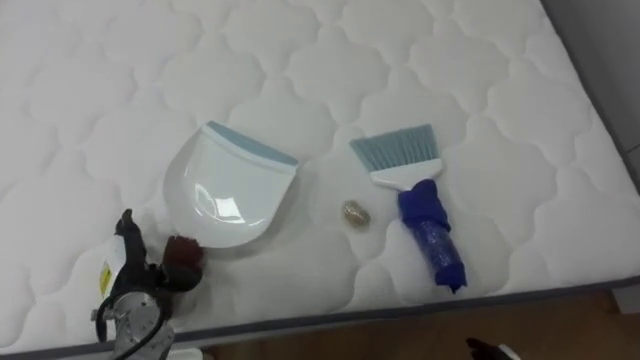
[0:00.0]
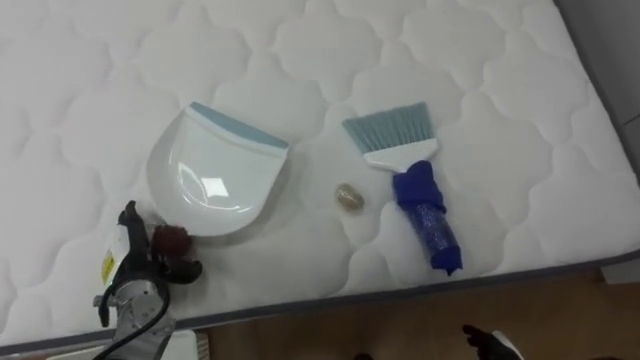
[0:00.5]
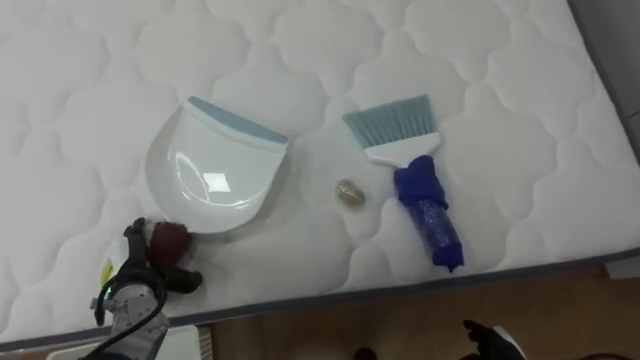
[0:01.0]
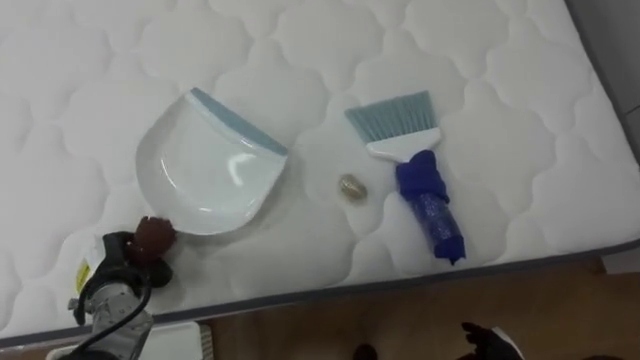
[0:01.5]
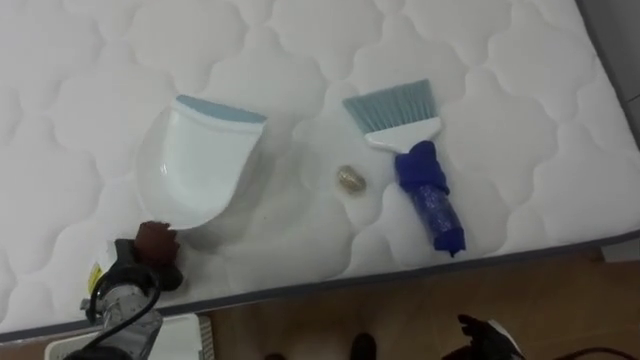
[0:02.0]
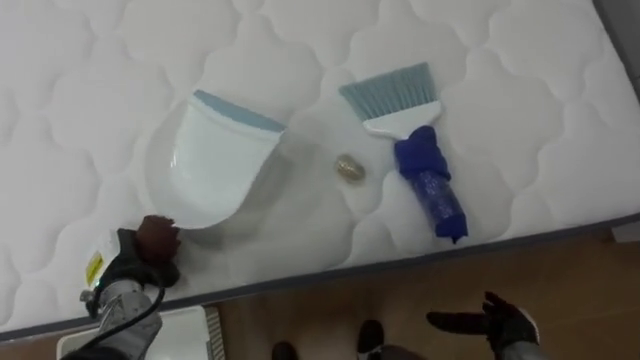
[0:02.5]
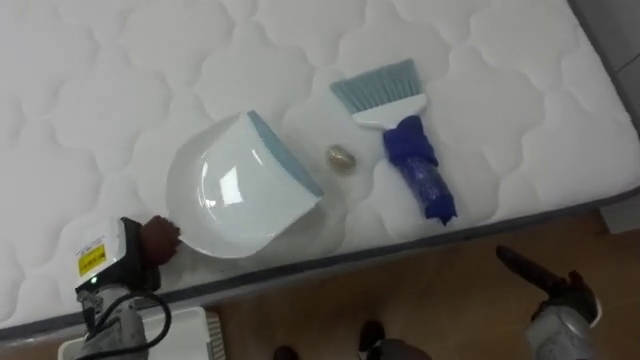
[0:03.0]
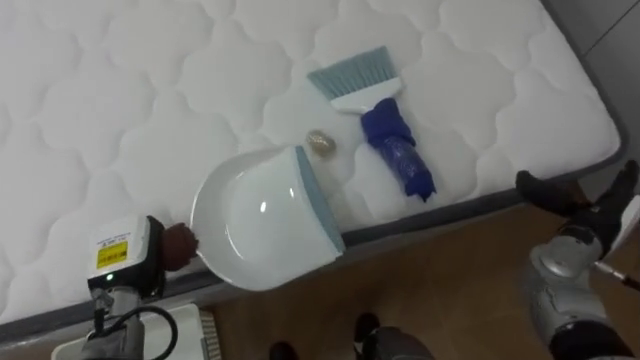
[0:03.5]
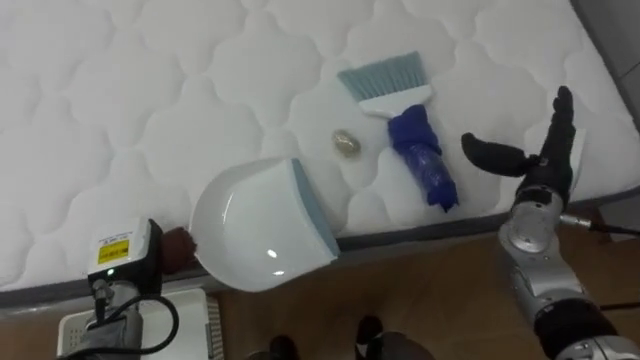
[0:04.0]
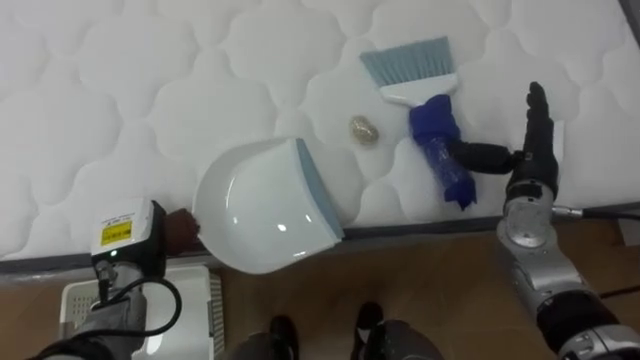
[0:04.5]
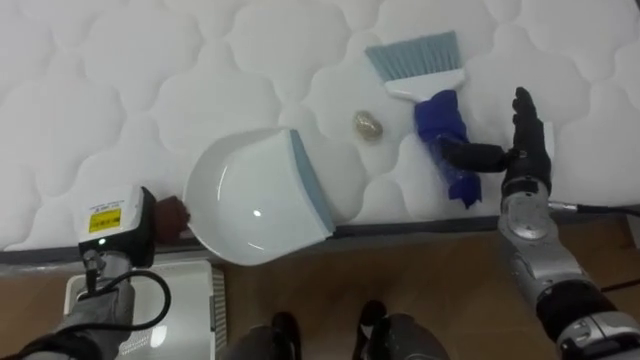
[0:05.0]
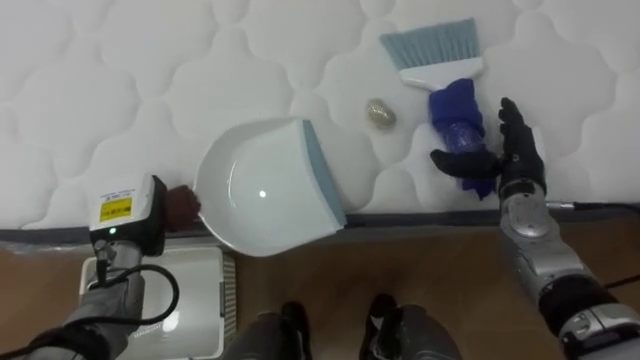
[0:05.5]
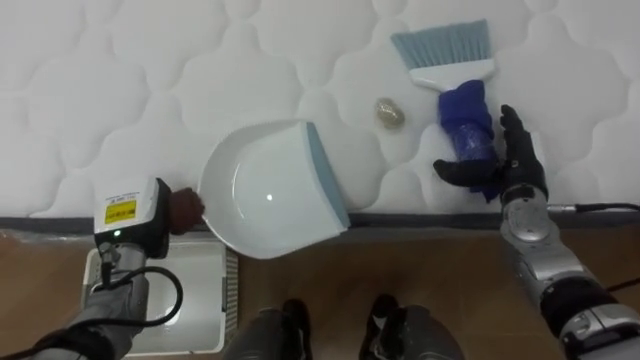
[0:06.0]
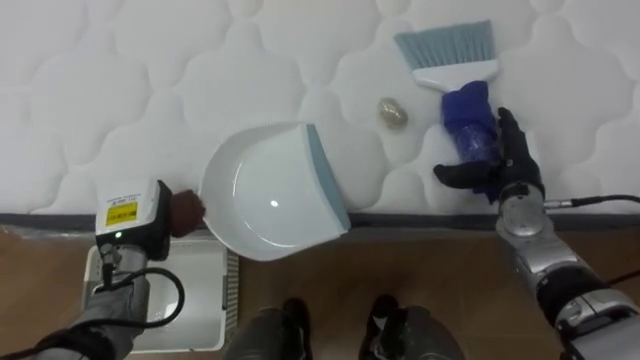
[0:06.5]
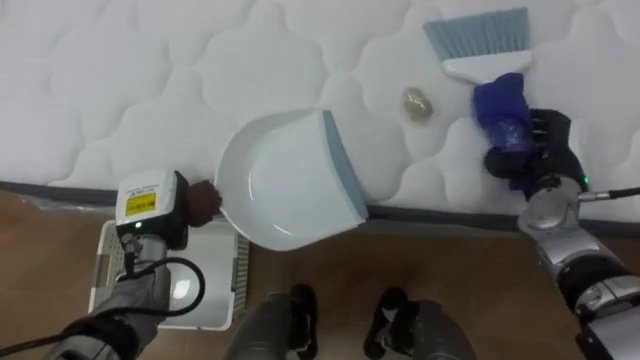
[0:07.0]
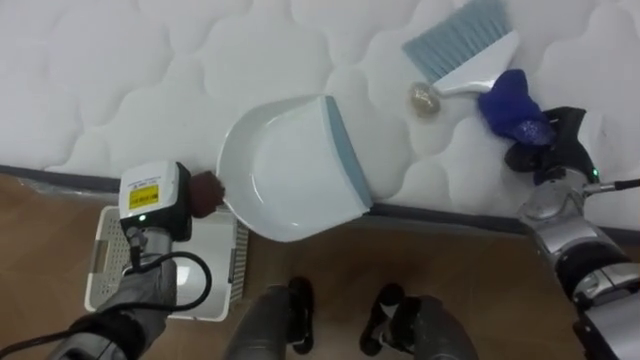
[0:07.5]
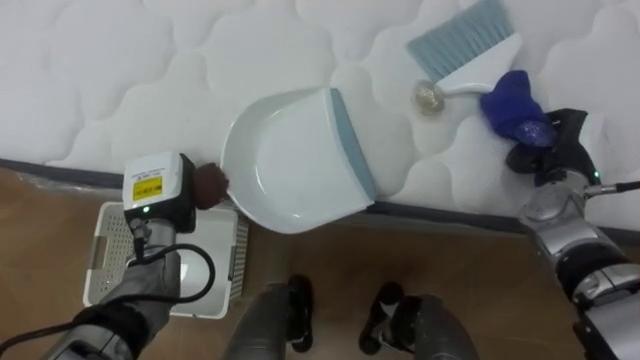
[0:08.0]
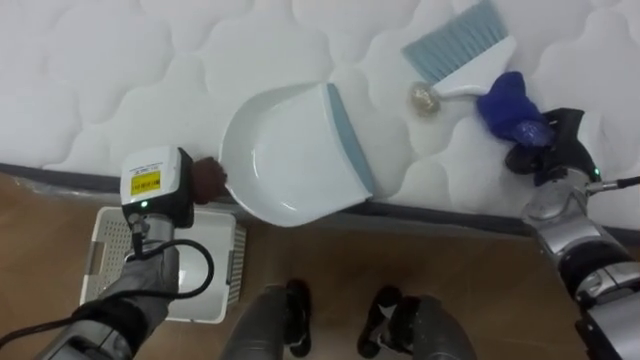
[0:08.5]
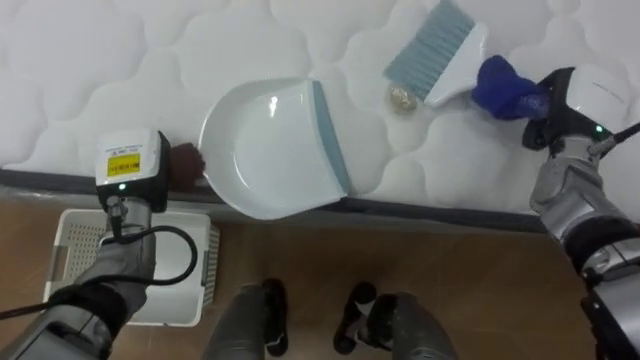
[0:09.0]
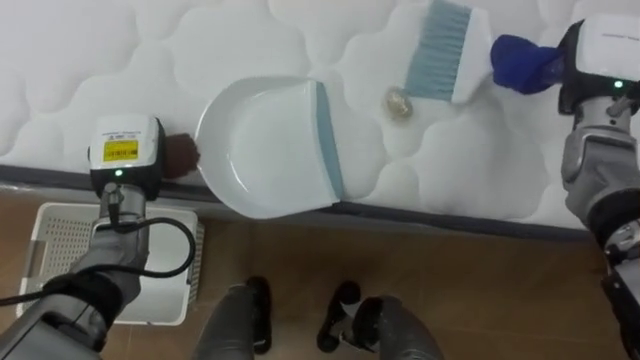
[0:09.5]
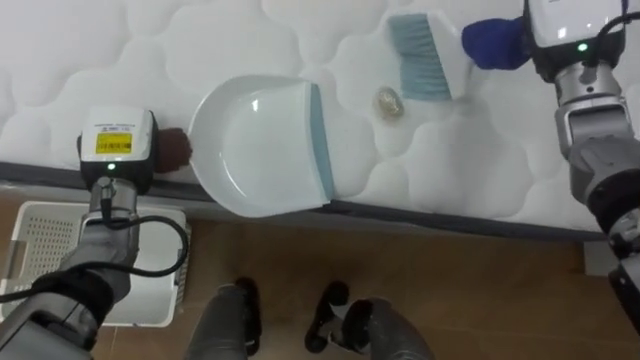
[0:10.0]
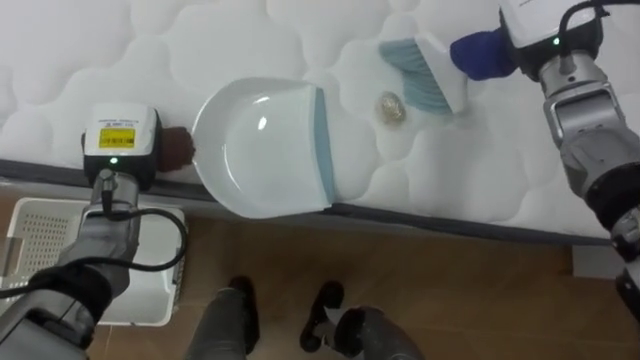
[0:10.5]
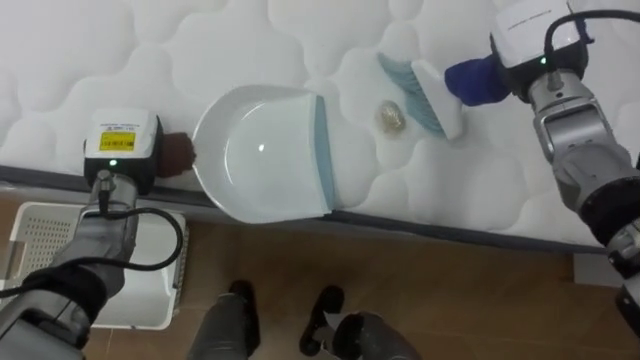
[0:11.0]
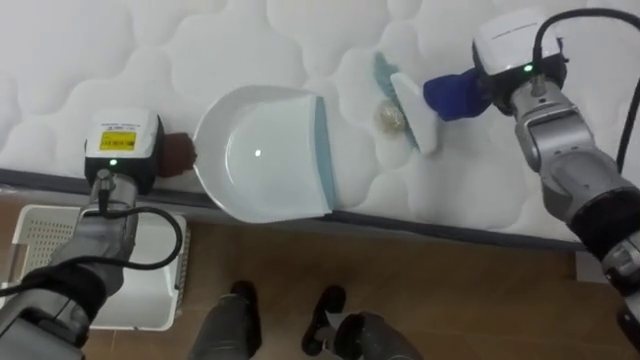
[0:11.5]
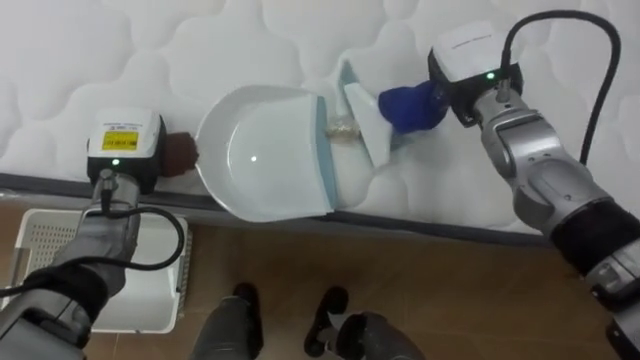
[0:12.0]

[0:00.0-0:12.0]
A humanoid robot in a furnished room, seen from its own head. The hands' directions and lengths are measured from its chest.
Task of the whole recording: Pick up the brush on your right and the dustpan on your left. Use the brush to sweep the crumpled paper on the bed into the dustpan, then turn left and empty it into the basket.
0:00.0 to 0:02.0: The left hand closes its fingers.
0:02.0 to 0:04.0: The right hand is displaced upward and forward by about 30 cm.
0:04.0 to 0:06.0: The left hand ends up about 5 cm from where it was.
0:06.0 to 0:08.0: The right hand travels to the right by roughly 5 cm, and closes.
0:08.0 to 0:10.0: The left hand heads upward, covering about 5 cm. Meanwhile the right hand goes roughly 15 cm upward and forward.
0:10.0 to 0:12.0: The right hand travels to the left and downward by about 10 cm.

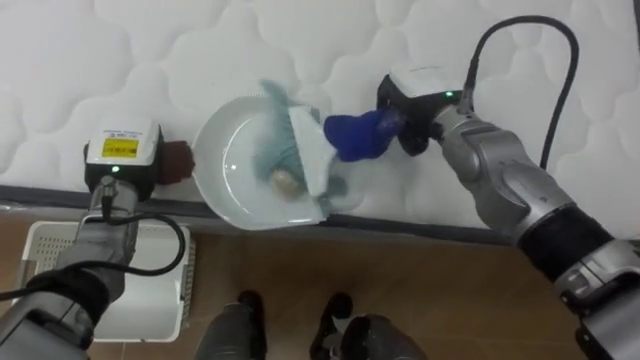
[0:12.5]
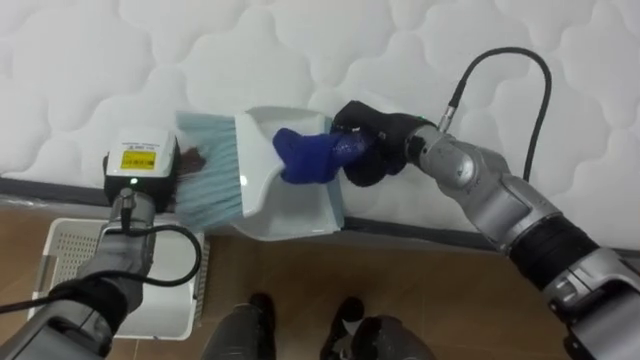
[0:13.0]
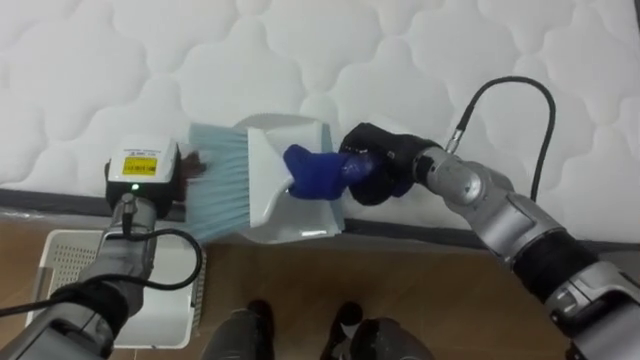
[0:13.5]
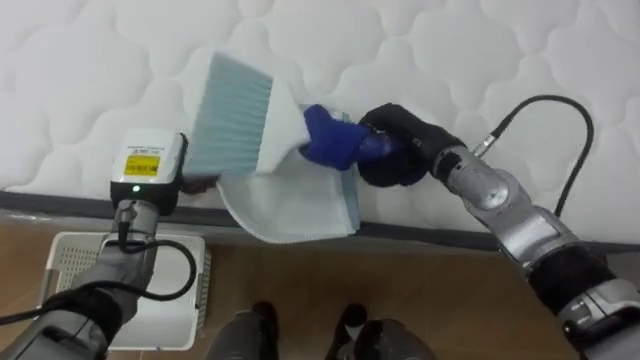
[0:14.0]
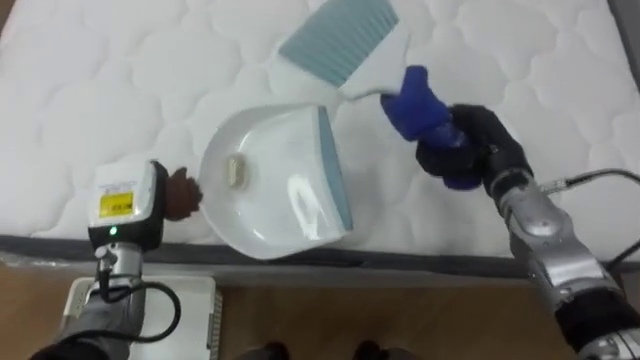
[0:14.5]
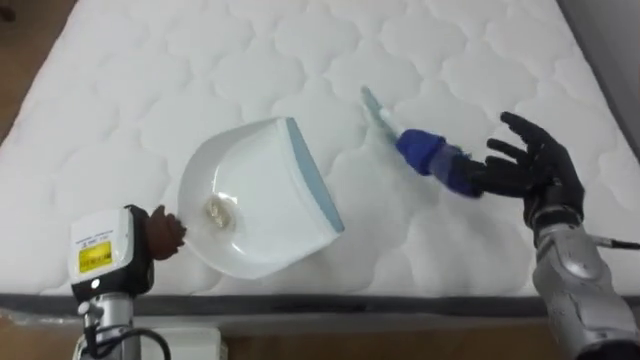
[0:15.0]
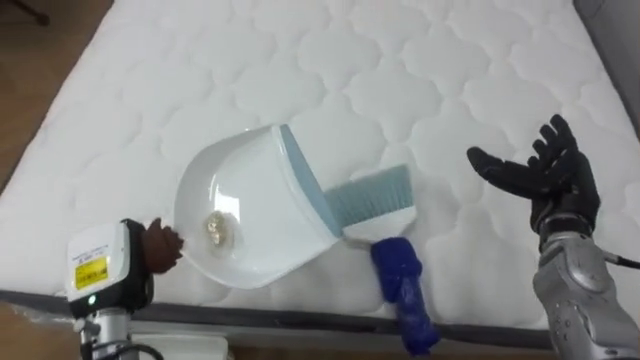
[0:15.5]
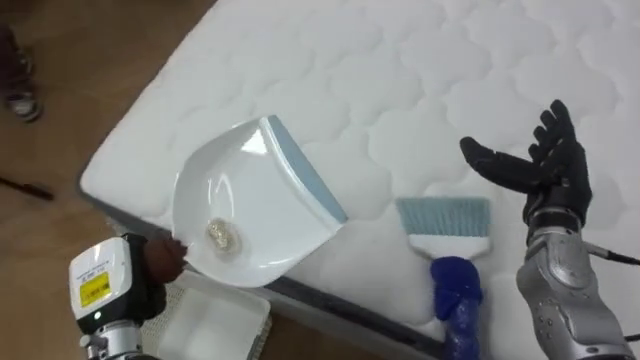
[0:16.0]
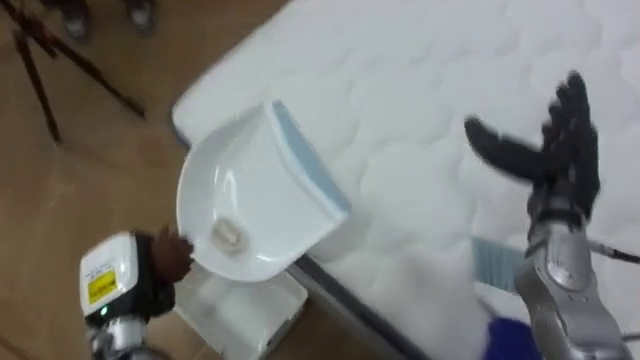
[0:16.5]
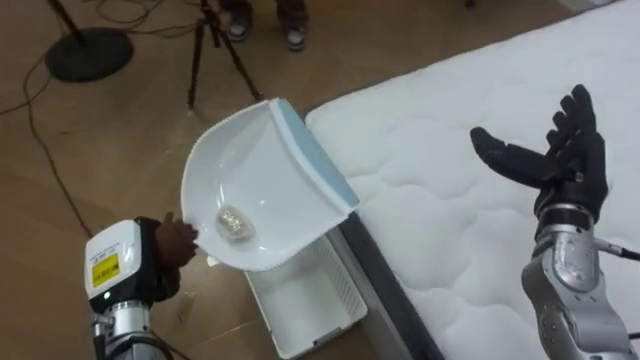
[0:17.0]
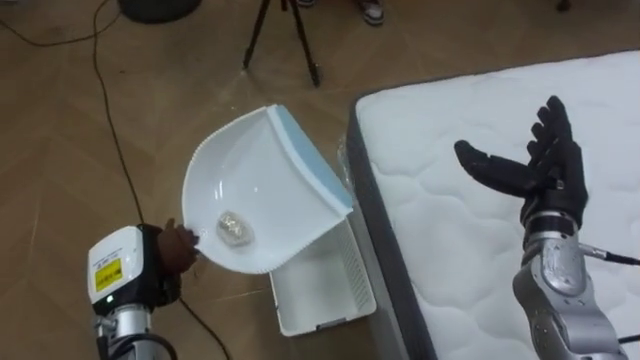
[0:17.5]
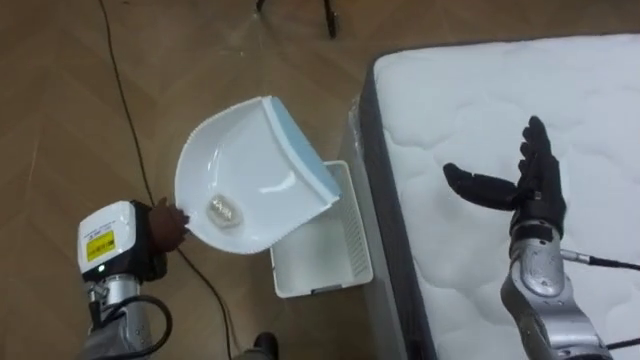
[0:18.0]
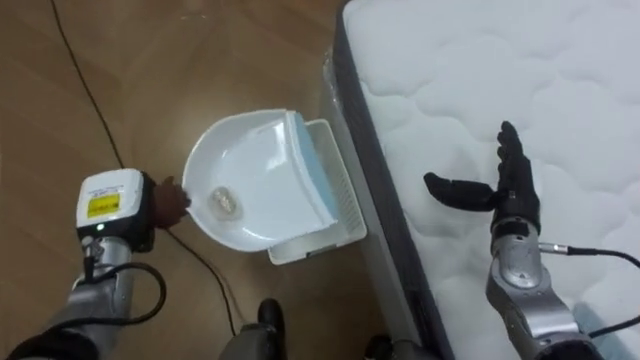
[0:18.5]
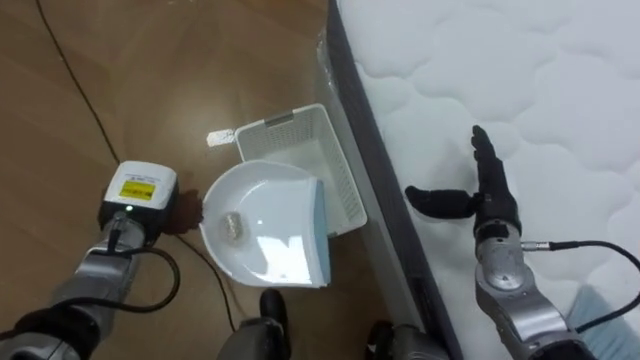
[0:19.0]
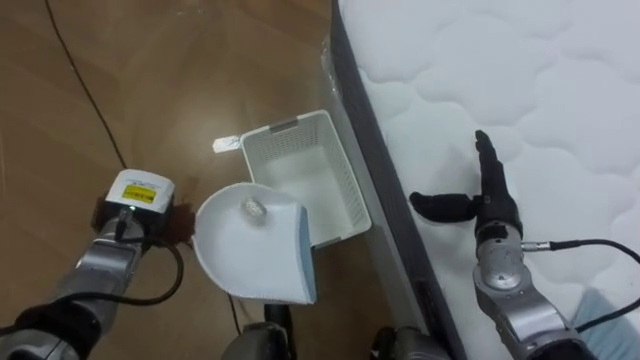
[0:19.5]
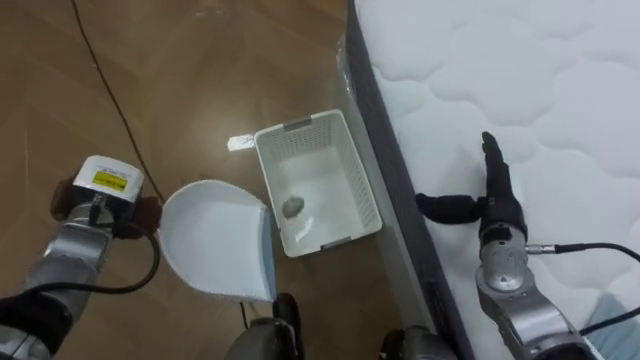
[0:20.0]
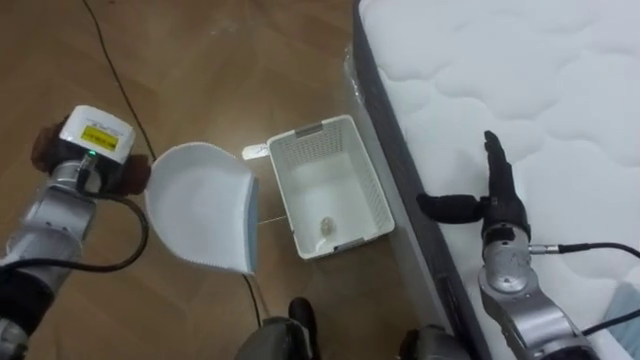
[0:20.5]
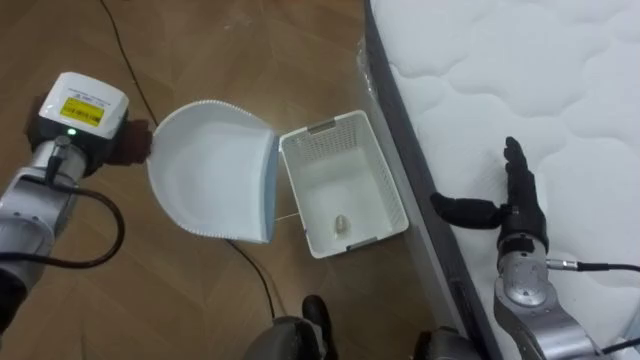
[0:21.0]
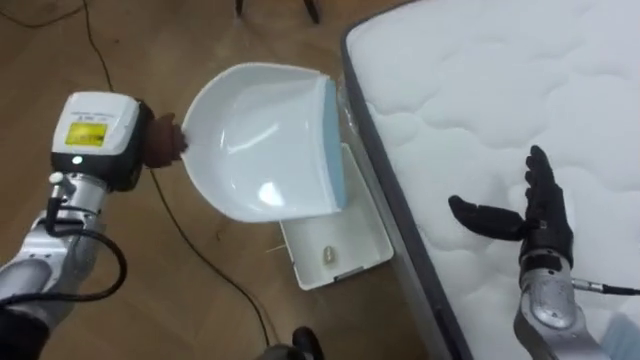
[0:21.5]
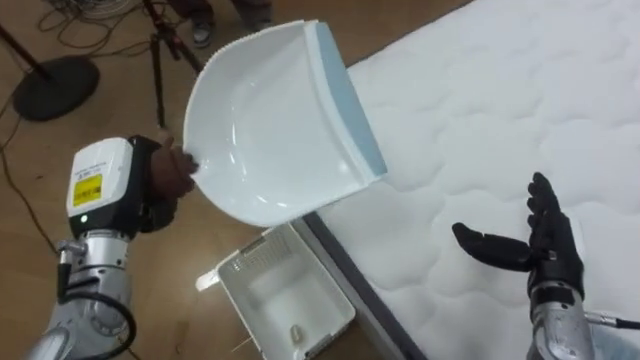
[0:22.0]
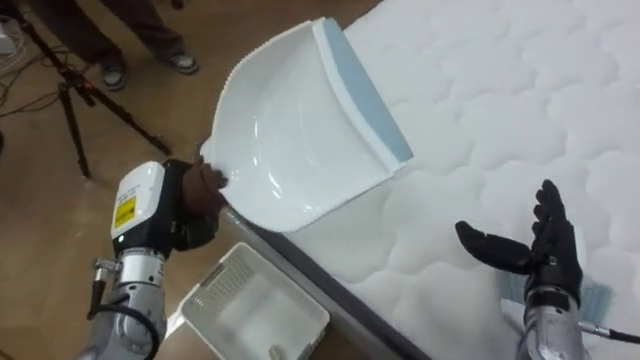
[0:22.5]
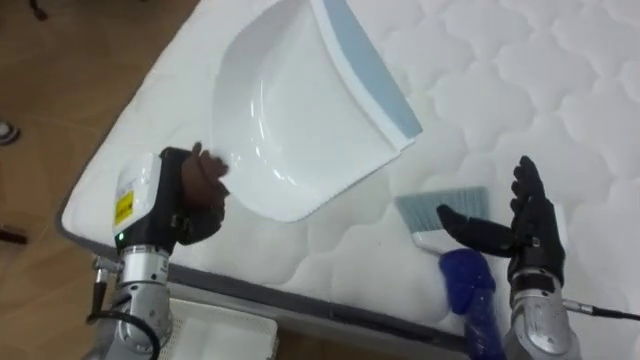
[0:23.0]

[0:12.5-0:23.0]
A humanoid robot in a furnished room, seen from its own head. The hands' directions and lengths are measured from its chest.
Task of the whole recording: Pick up the brush on your right and the dustpan on your left. Use the brush to sweep the crumpled paper on the bed into the dustpan, then turn left and empty it into the basket.
0:12.5 to 0:14.5: The left hand goes approximately 5 cm backward, while the right hand travels to the right and downward by roughly 10 cm.
0:14.5 to 0:16.5: The robot turns to its left by roughly 40 degrees. The left hand is displaced backward by about 5 cm, while the right hand shifts about 10 cm to the right and backward, and opens up.
0:16.5 to 0:19.0: The robot faces some 40 degrees further to its left. The right hand goes about 10 cm downward and to the left; the left hand goes some 10 cm forward.
0:19.0 to 0:21.0: The left hand shifts some 10 cm upward.
0:21.0 to 0:23.0: The robot's body swings approximately 70 degrees to its right. The left hand moves backward and to the right, about 10 cm.
